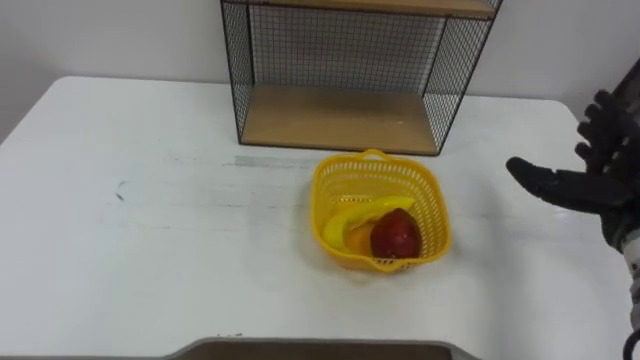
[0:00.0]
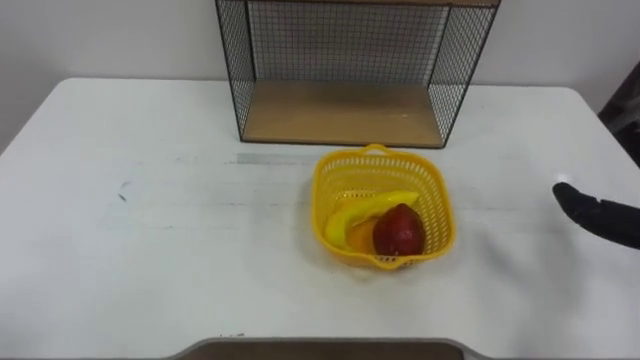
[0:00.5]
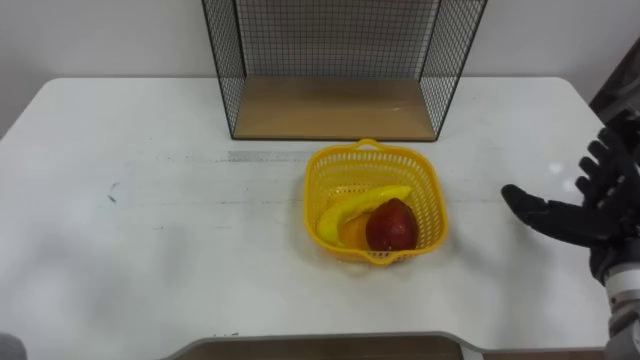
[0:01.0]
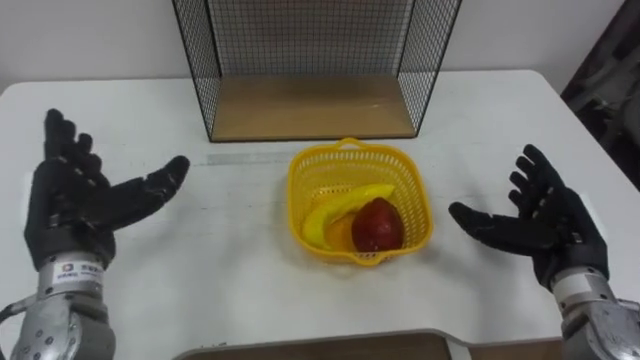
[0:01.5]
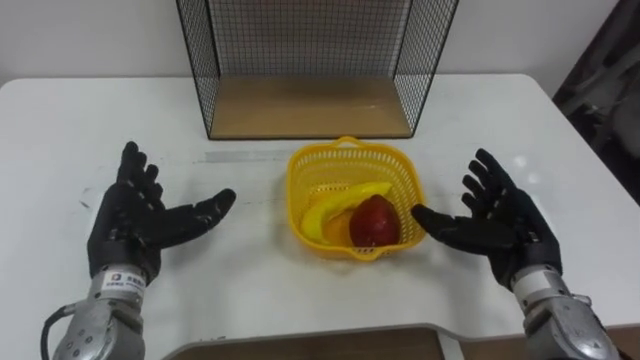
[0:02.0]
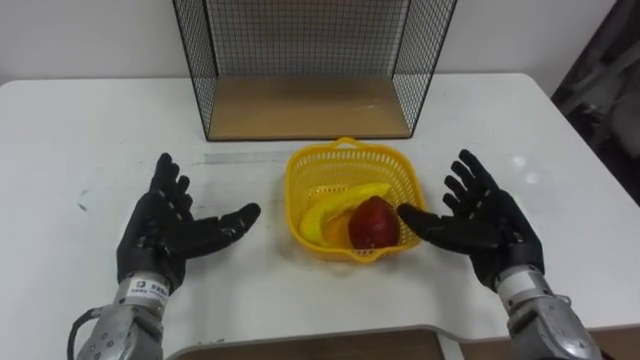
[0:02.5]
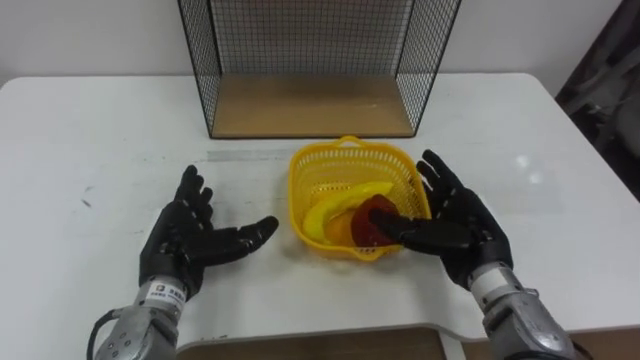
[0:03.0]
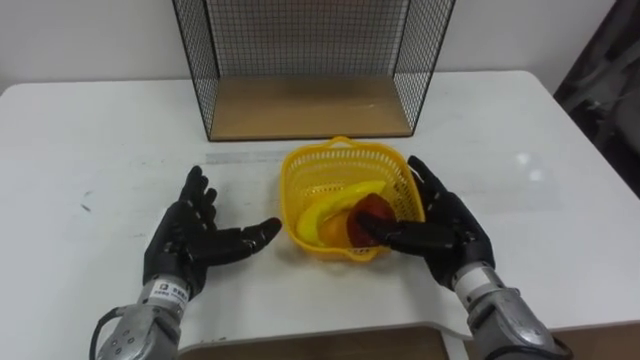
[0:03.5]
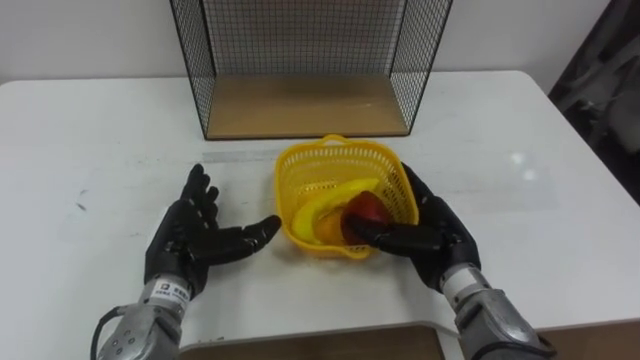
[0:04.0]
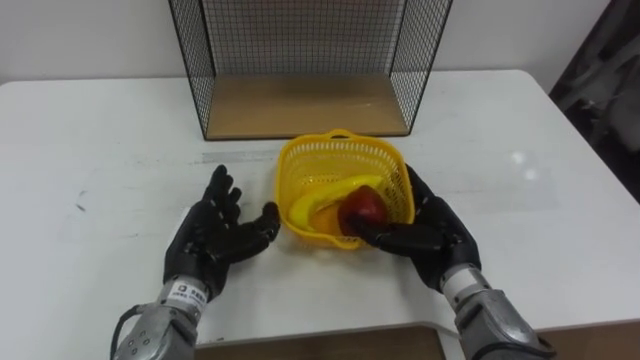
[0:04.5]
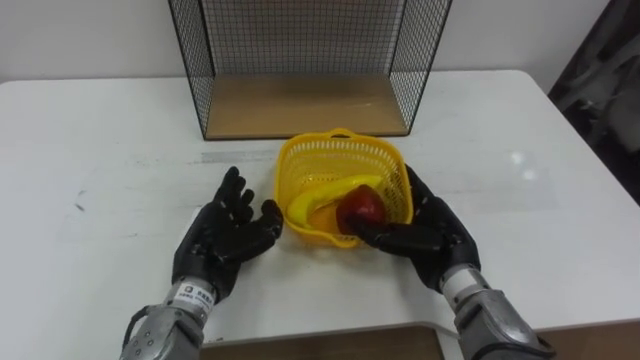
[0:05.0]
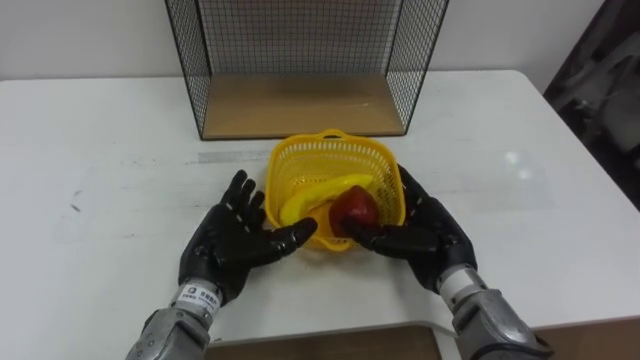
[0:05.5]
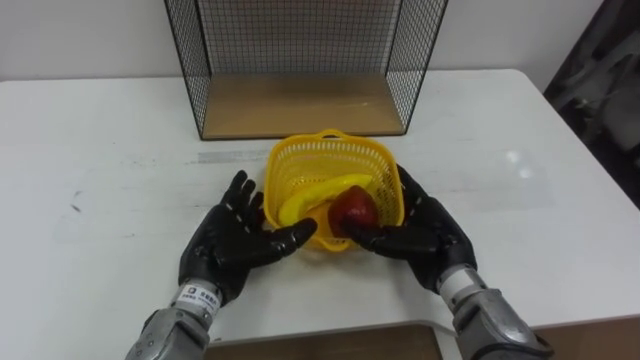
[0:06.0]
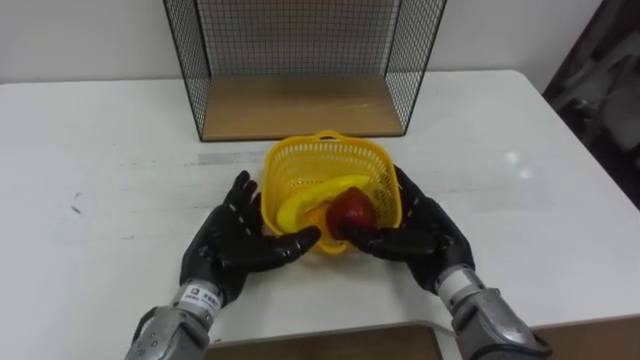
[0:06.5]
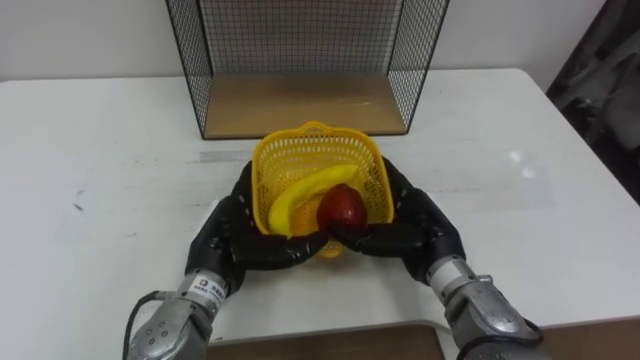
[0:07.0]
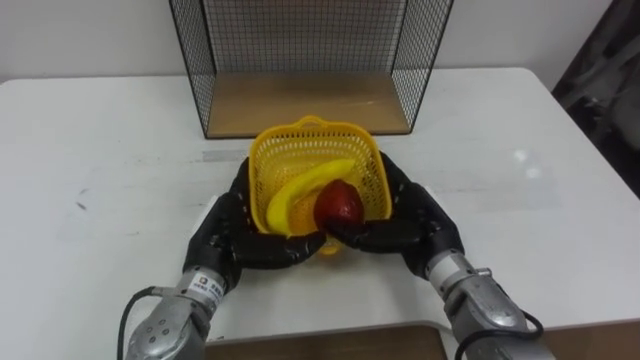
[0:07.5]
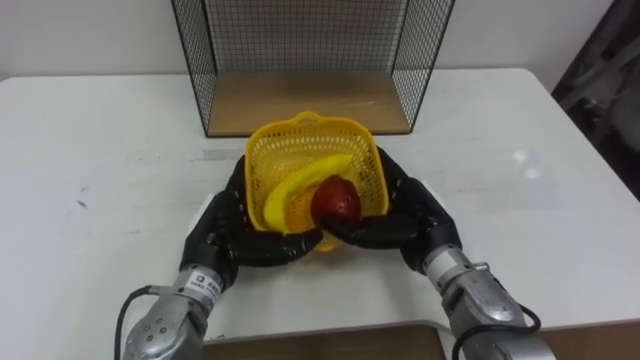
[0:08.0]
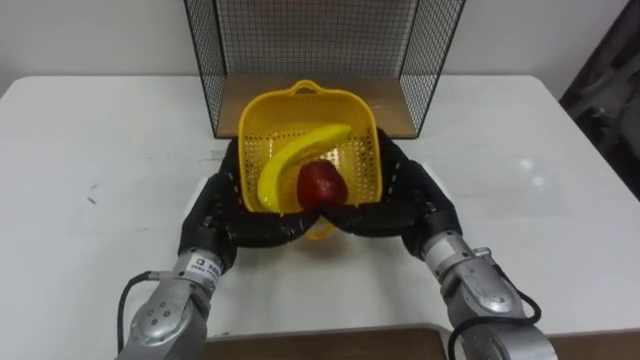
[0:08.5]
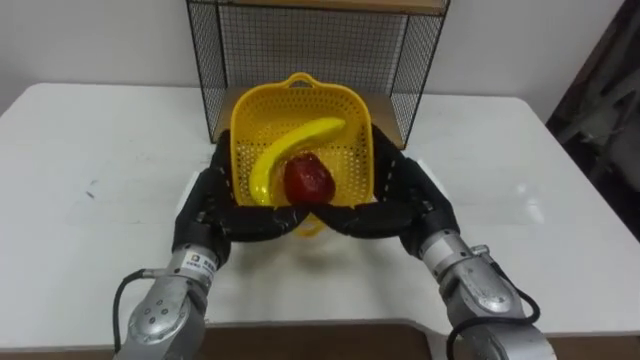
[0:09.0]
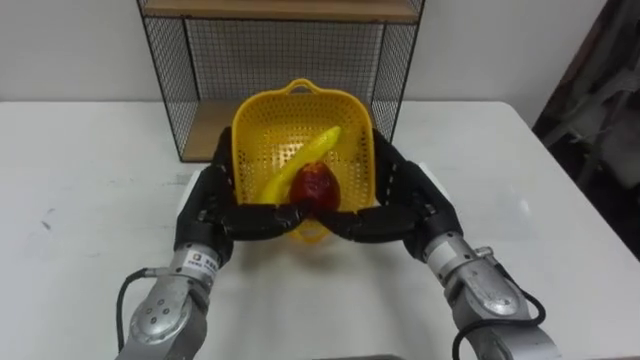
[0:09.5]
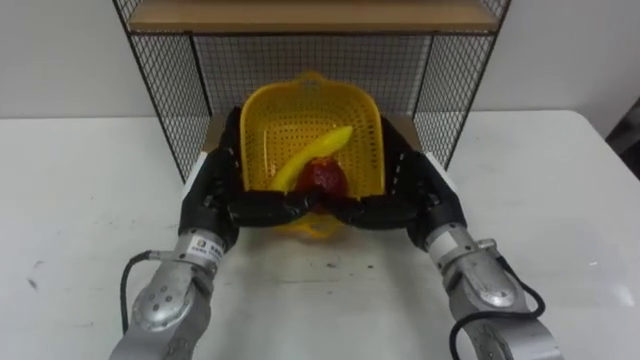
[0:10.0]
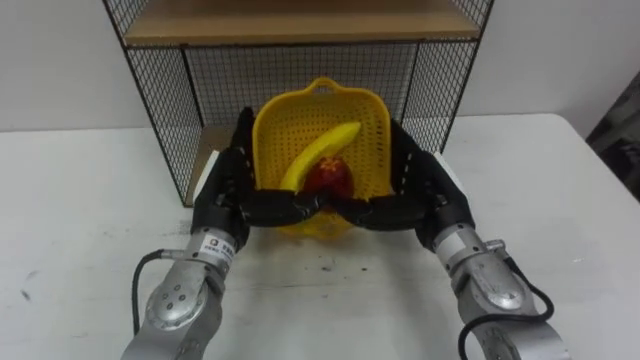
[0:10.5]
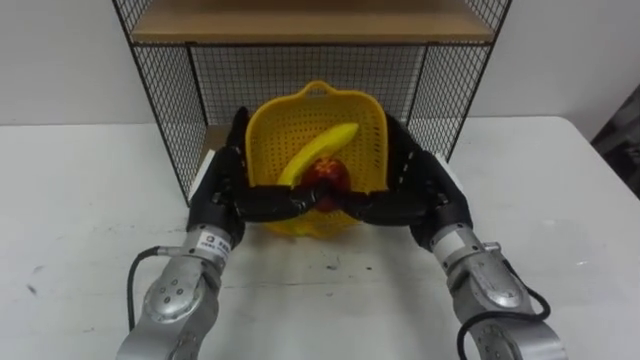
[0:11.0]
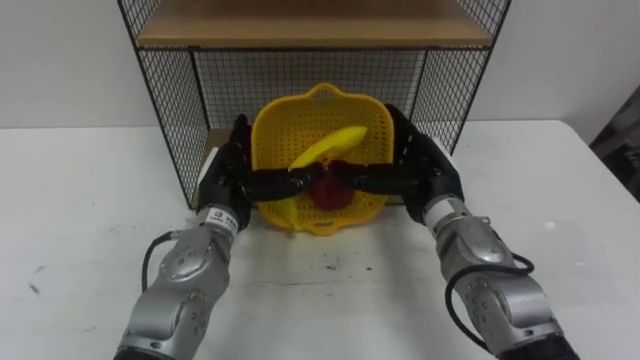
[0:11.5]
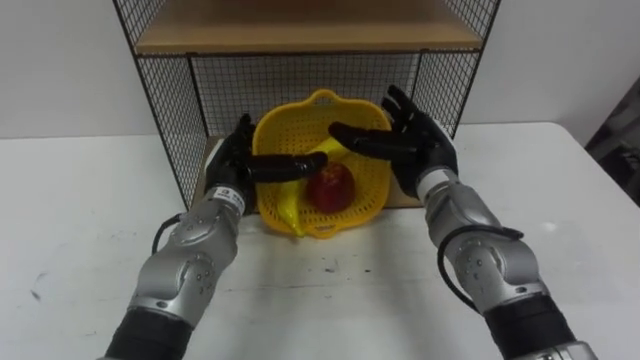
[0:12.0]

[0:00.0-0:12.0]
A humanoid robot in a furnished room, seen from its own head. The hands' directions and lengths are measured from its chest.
Task of the whole recording: Put the fruit on the table into the basket, then place the basket on the shelf.
0:02.0 to 0:04.0: The right hand shifts about 10 cm to the left. Meanwhile the left hand shifts roughly 5 cm to the right.
0:04.0 to 0:06.0: The hands move only a little.
0:08.0 to 0:10.0: The left hand moves some 5 cm.
0:10.0 to 0:12.0: Both hands move forward, some 5 cm.

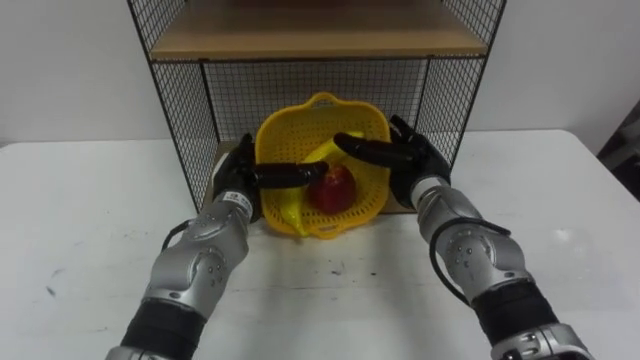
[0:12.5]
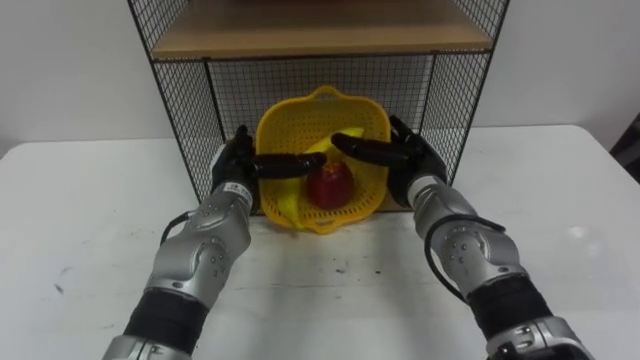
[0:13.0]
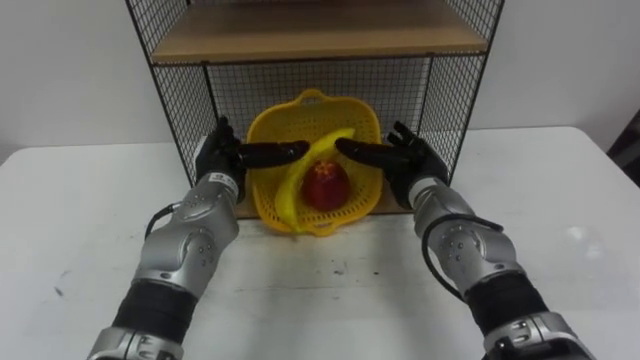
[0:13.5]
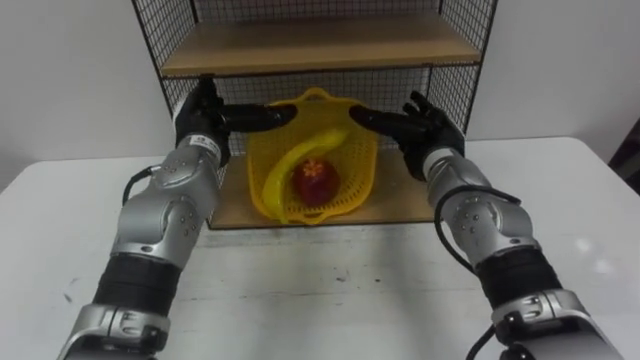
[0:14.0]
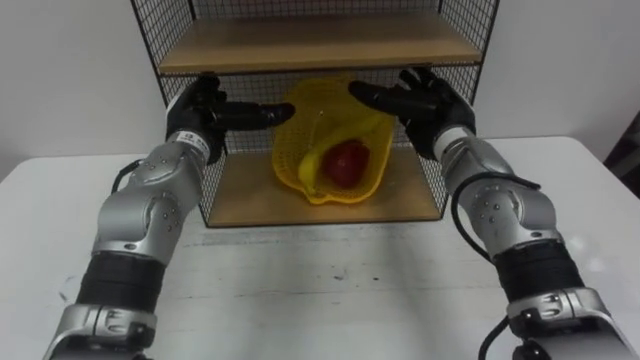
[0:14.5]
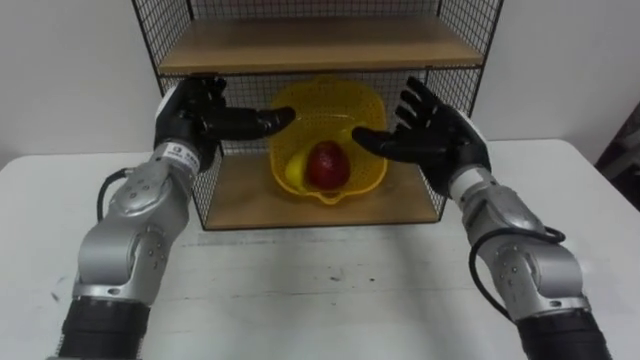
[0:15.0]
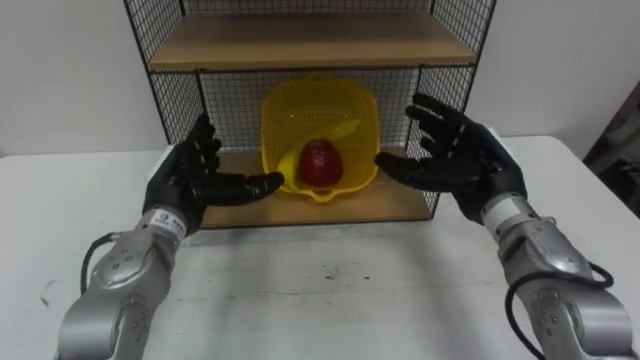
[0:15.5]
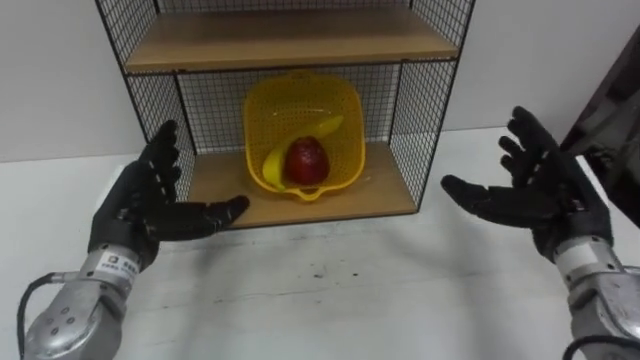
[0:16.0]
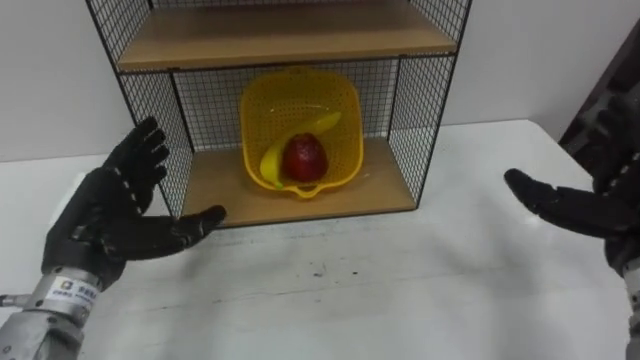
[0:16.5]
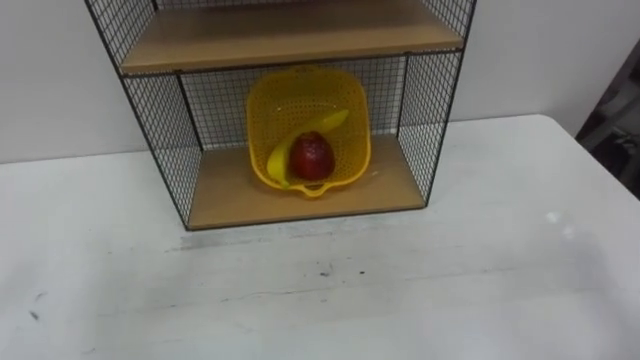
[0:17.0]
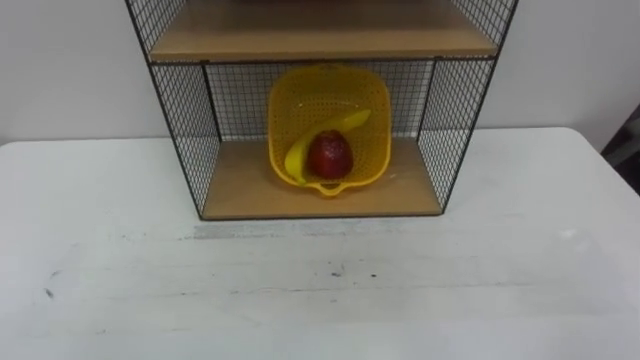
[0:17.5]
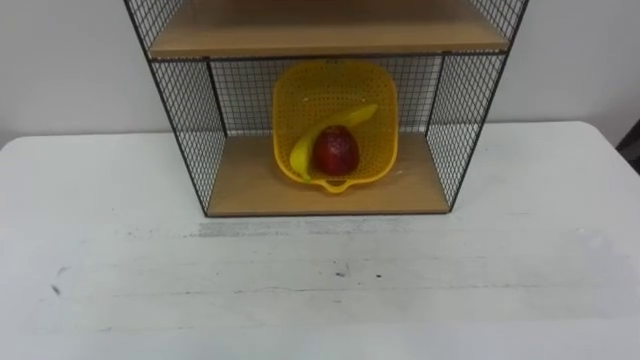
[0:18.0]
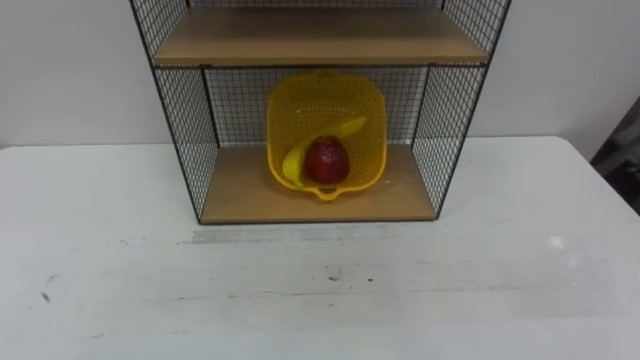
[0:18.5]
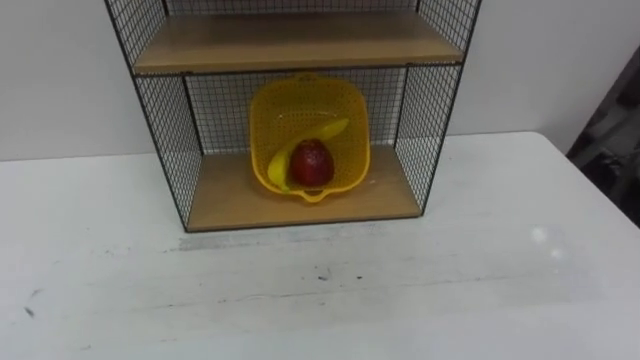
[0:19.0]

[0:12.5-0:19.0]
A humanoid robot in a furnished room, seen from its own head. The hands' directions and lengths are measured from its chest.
Task of the whole recording: Put the fruit on the table into the basket, then place the basket on the shelf.
0:12.5 to 0:14.5: The left hand shifts some 10 cm upward and to the left. Meanwhile the right hand moves upward, approximately 5 cm.

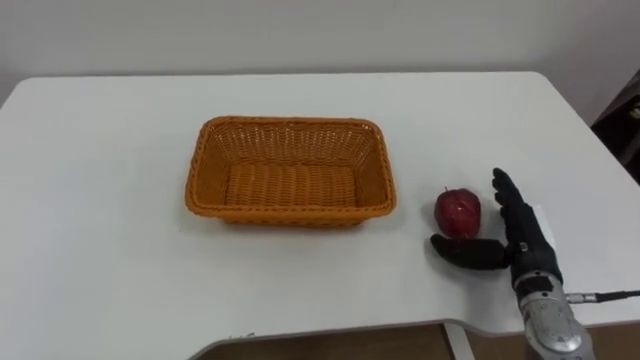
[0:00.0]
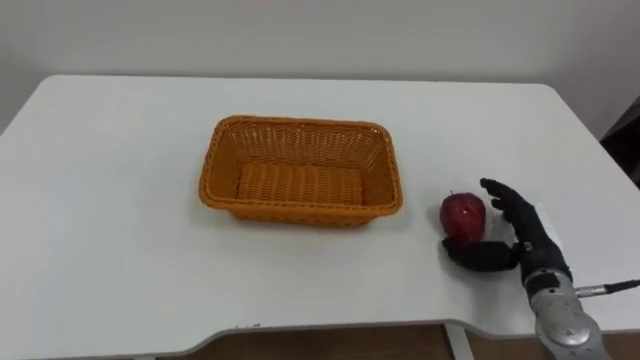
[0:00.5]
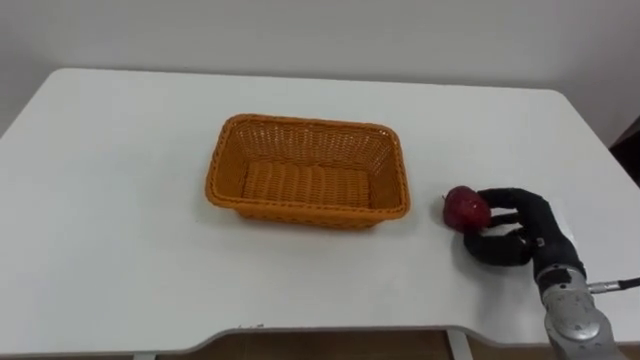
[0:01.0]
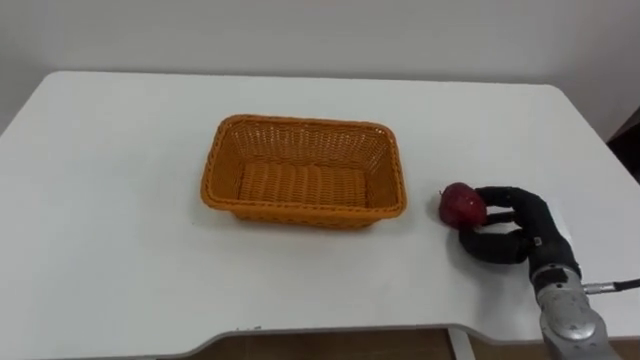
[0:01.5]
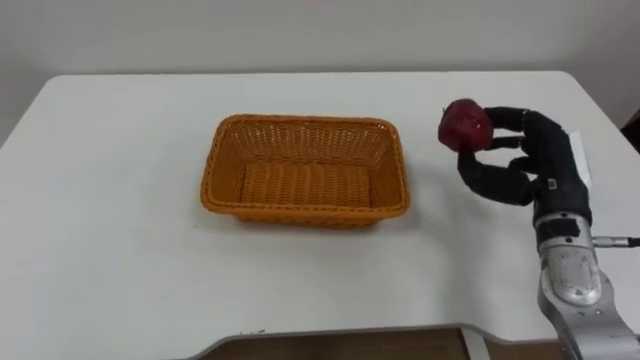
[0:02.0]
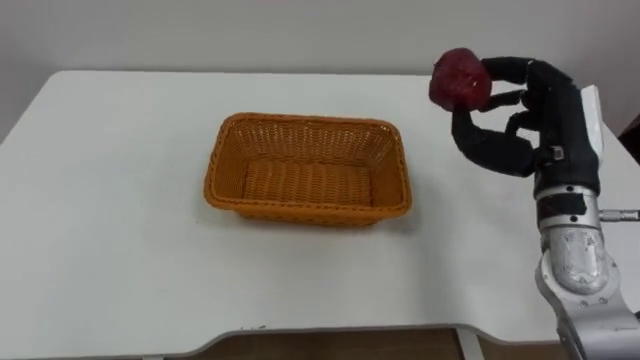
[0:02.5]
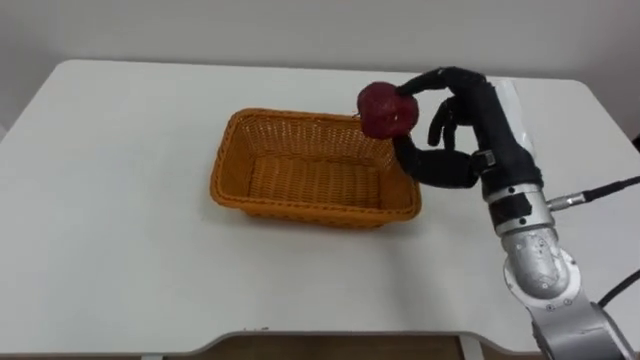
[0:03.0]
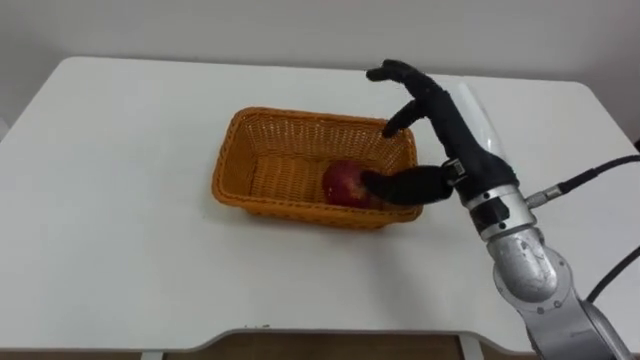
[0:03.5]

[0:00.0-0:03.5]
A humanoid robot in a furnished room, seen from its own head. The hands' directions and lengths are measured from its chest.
Task of the whole recording: Pick the apple and place it in the box.
0:00.0 to 0:02.0: The right hand heads upward, covering some 10 cm, and closes its fingers.
0:02.0 to 0:03.5: The right hand moves to the left and upward, some 15 cm.
